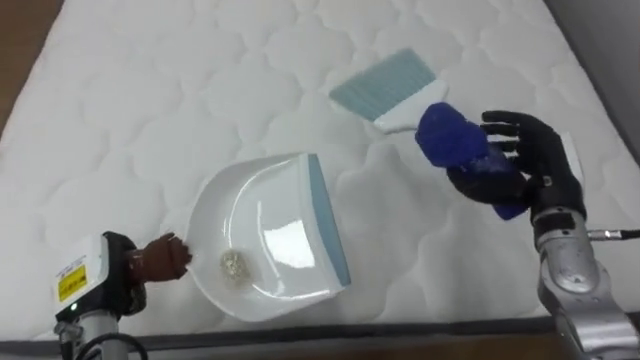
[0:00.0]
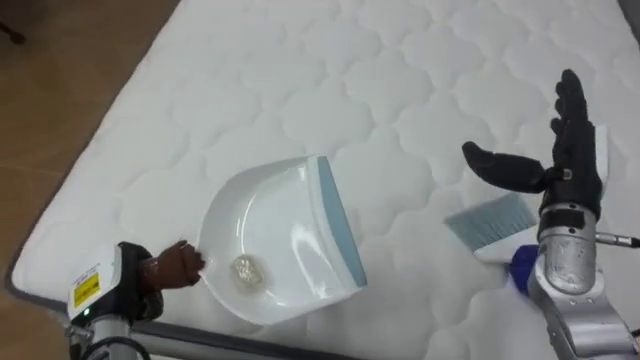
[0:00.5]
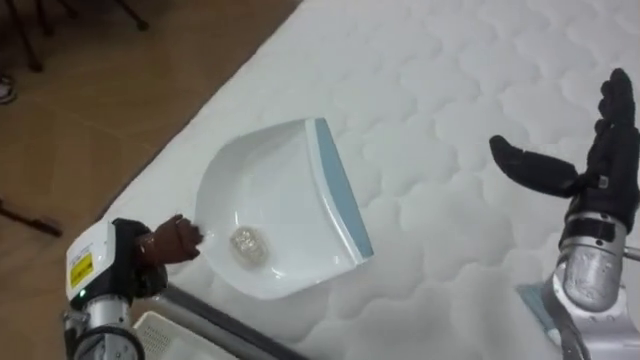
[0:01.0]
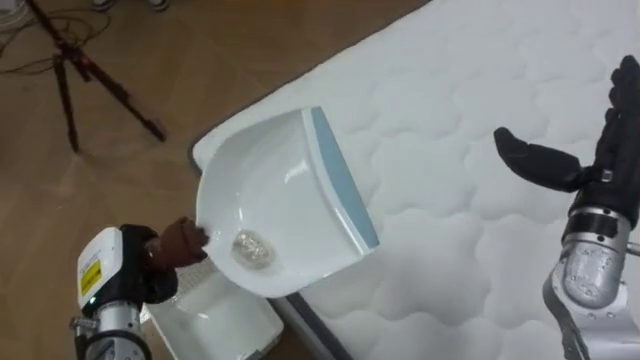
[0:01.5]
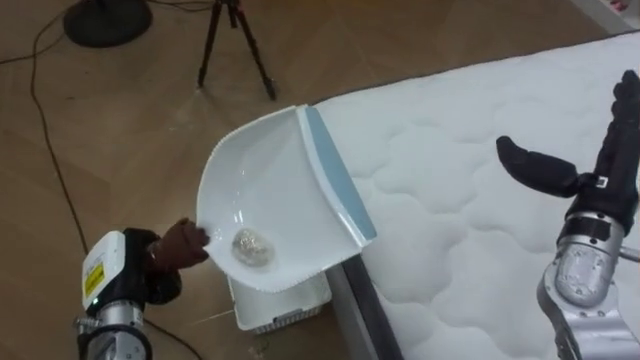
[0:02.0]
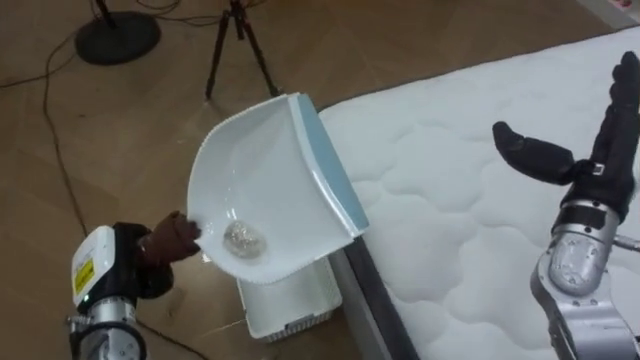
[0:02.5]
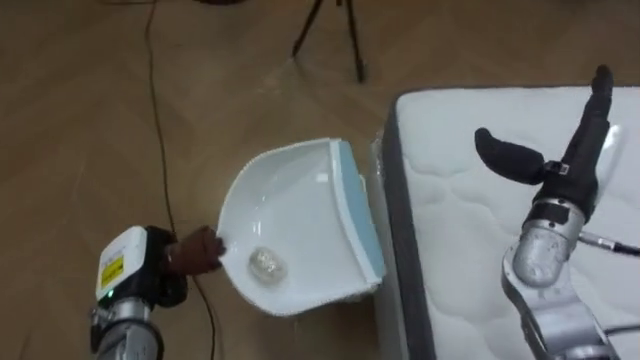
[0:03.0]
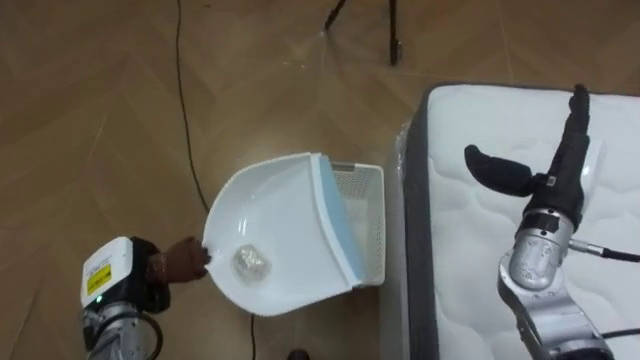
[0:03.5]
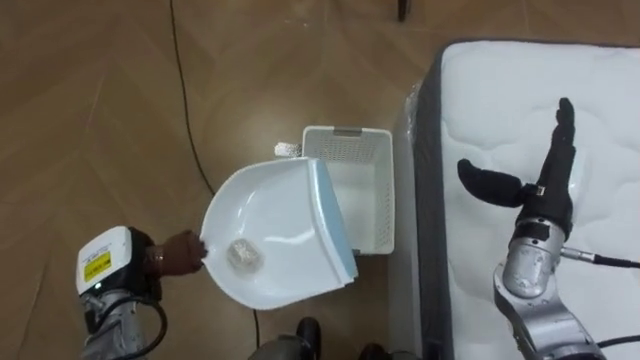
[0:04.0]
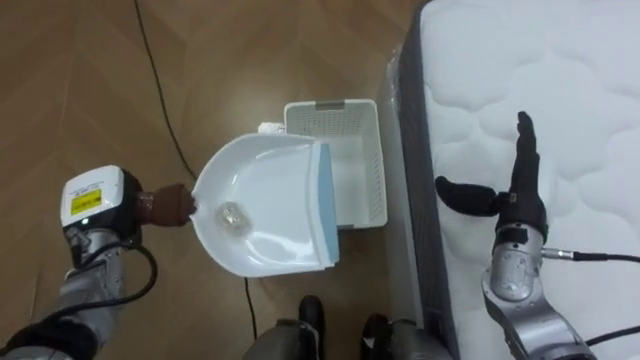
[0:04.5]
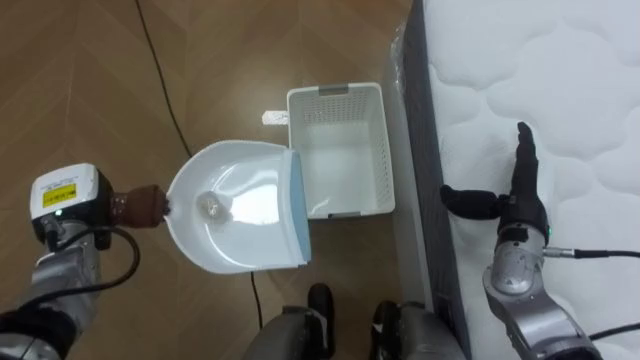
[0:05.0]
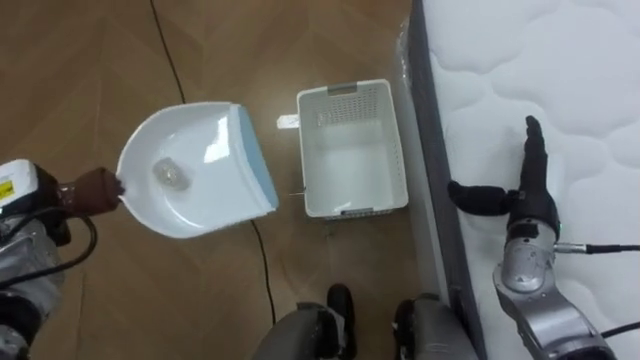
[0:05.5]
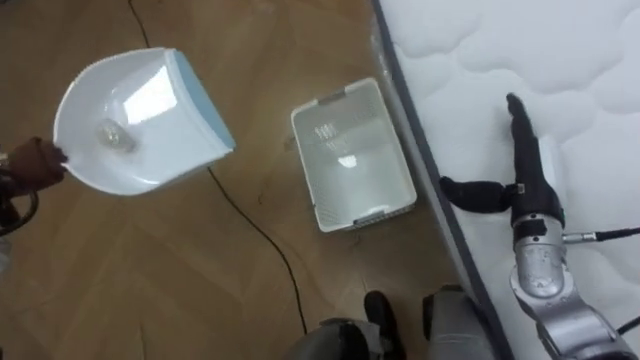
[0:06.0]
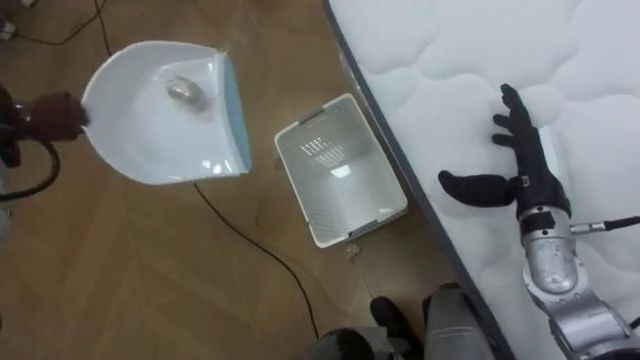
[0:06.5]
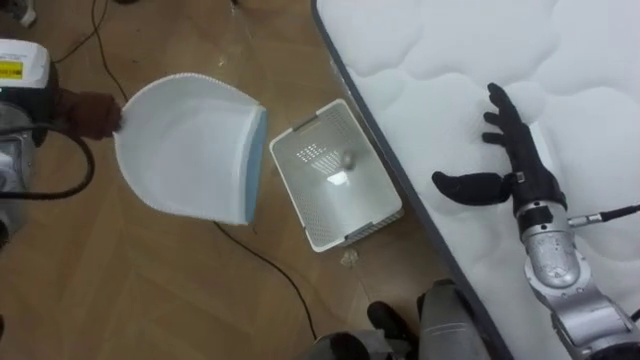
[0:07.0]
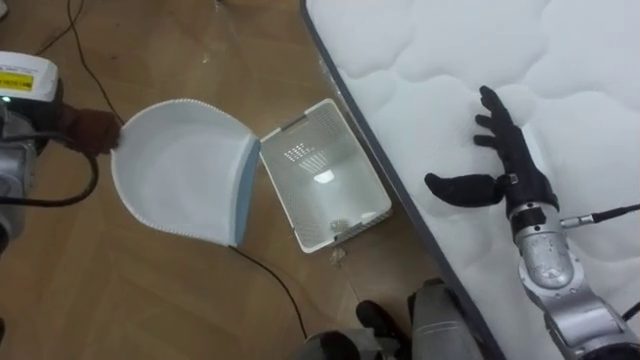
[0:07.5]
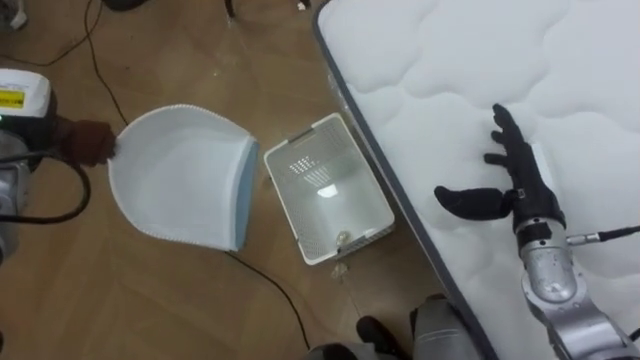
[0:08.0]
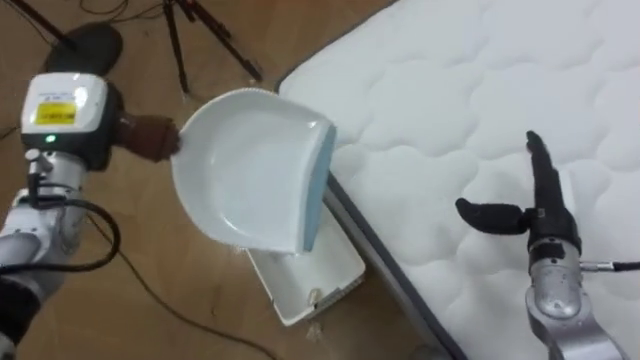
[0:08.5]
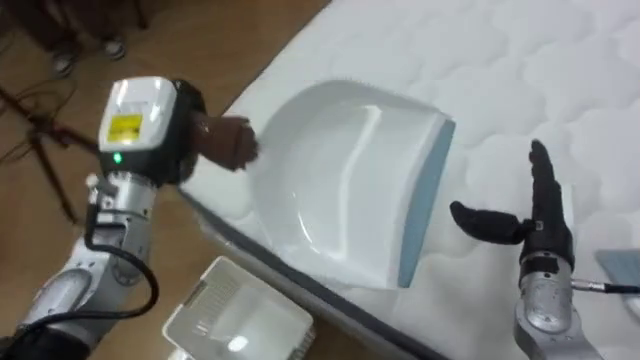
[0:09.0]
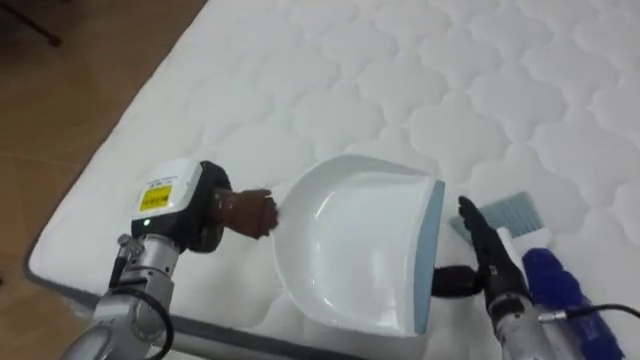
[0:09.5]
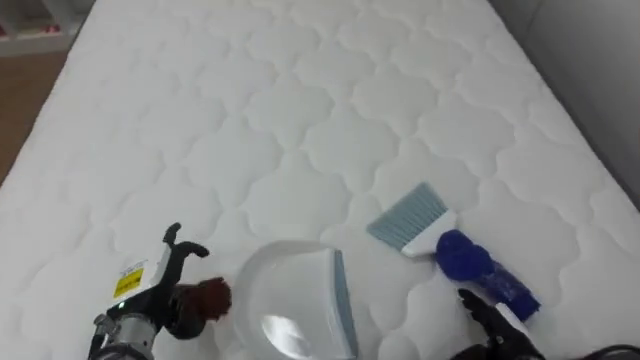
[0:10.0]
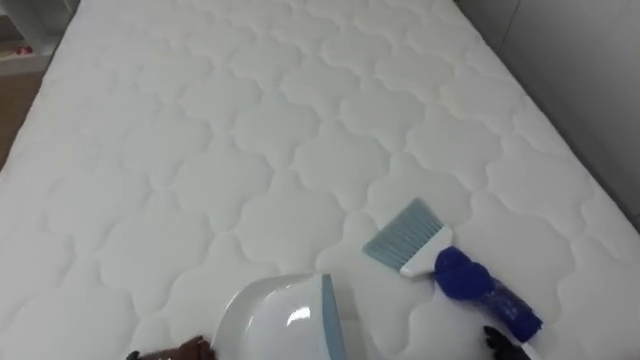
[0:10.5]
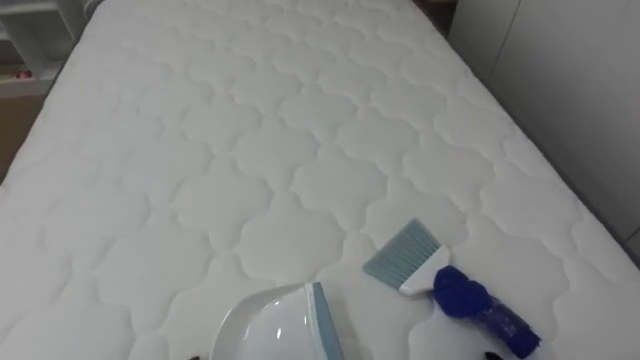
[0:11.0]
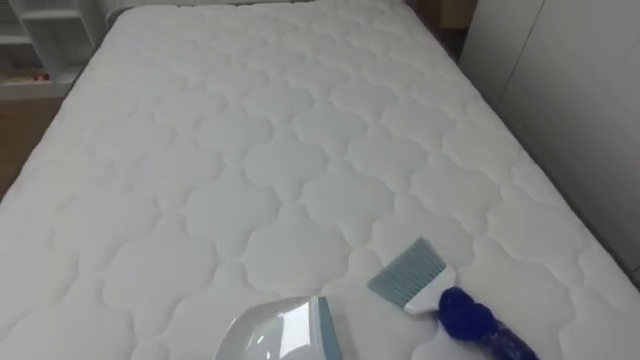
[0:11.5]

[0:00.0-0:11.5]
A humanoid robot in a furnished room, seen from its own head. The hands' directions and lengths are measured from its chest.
Task of the whole recording: Pick up the brush on your right and the dustpan on your left. Use the brush to sweep the crumpled paper on the bed into the dustpan, then turn left and empty it into the basket.
0.0 to 2.0 s: The robot's body swings some 70 degrees to its left. The right hand changes place by roughly 5 cm, and opens.
2.0 to 4.0 s: The robot turns to its left by approximately 25 degrees. The right hand changes place by about 5 cm.
7.5 to 9.5 s: The robot's body swings approximately 70 degrees to its right. The right hand shifts some 10 cm downward and backward; the left hand shifts approximately 20 cm to the right, backward and downward.
9.5 to 11.5 s: The robot rotates approximately 30 degrees to its right.

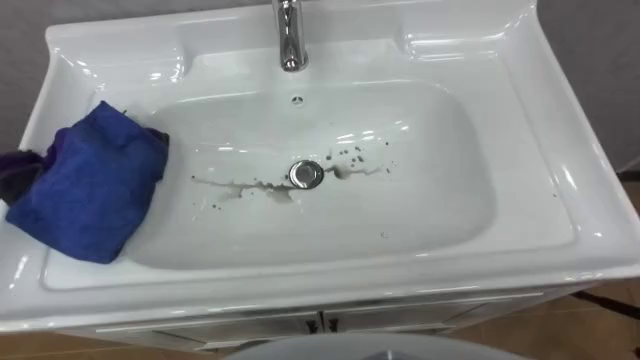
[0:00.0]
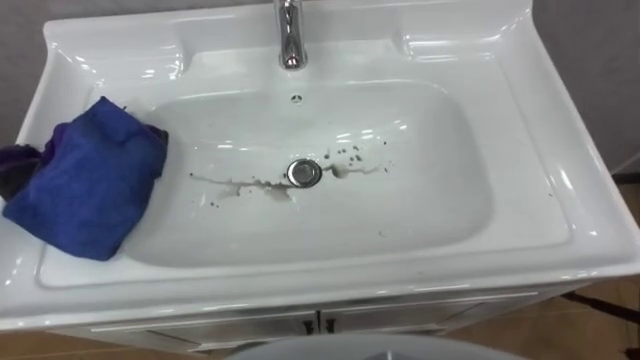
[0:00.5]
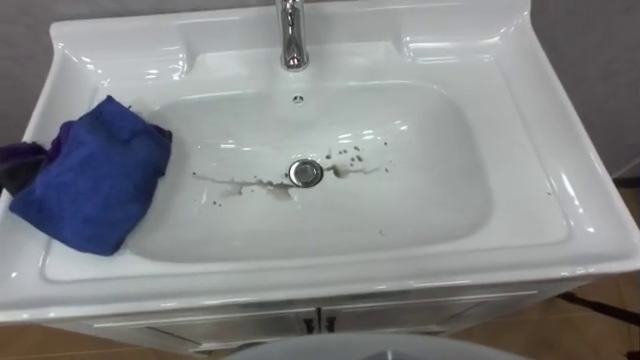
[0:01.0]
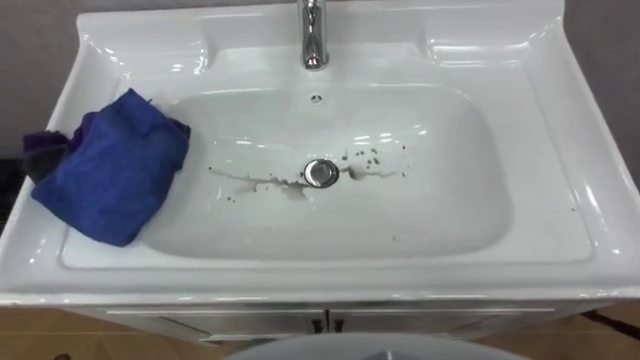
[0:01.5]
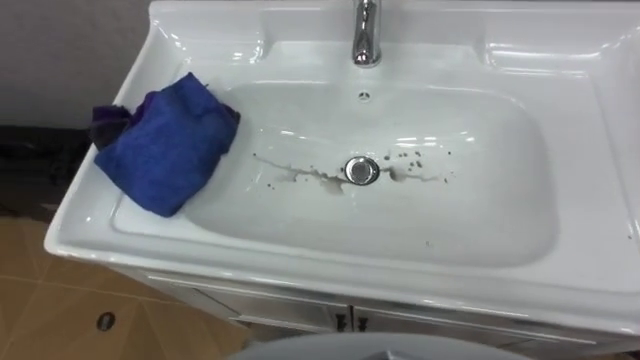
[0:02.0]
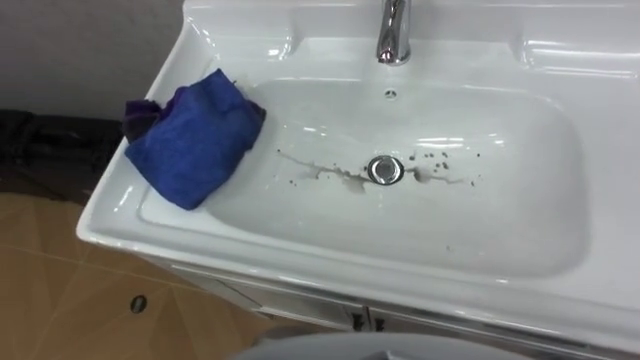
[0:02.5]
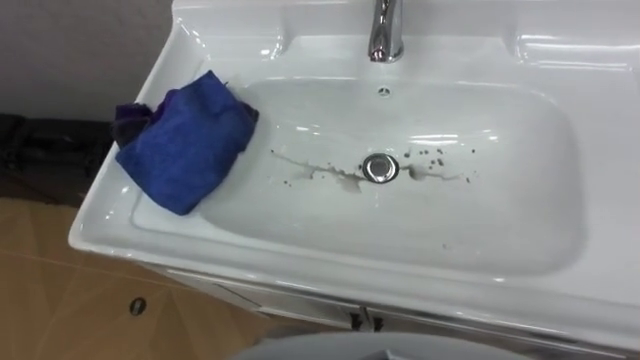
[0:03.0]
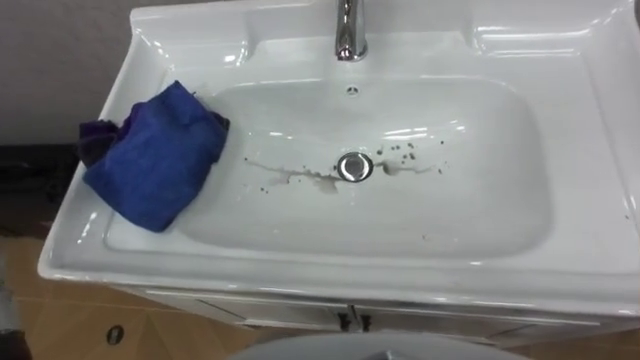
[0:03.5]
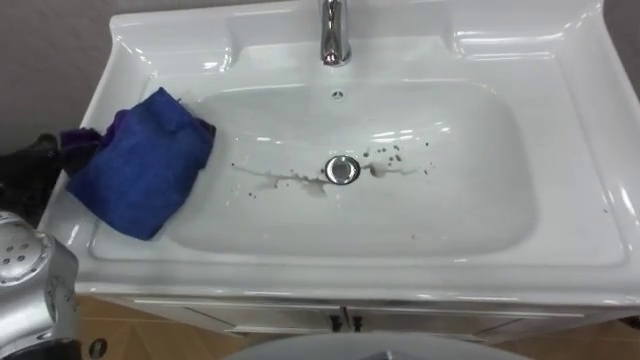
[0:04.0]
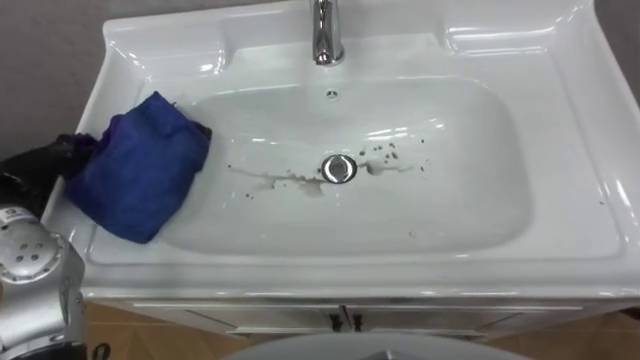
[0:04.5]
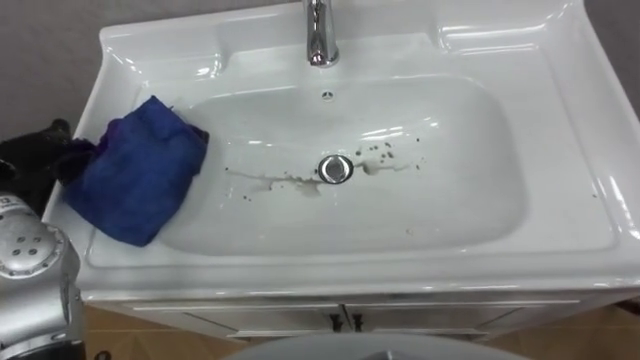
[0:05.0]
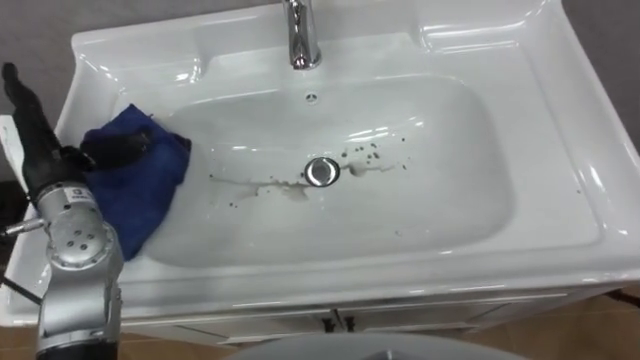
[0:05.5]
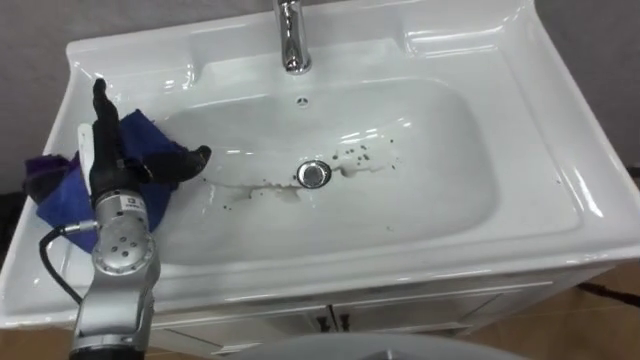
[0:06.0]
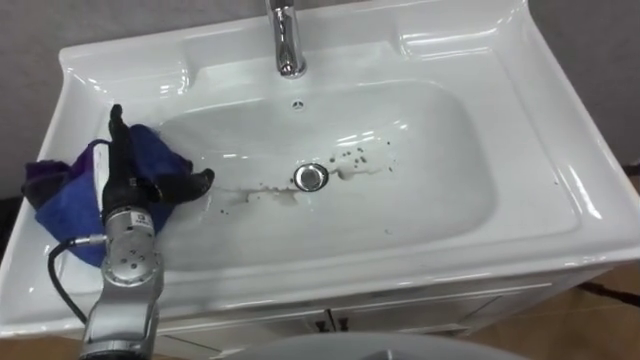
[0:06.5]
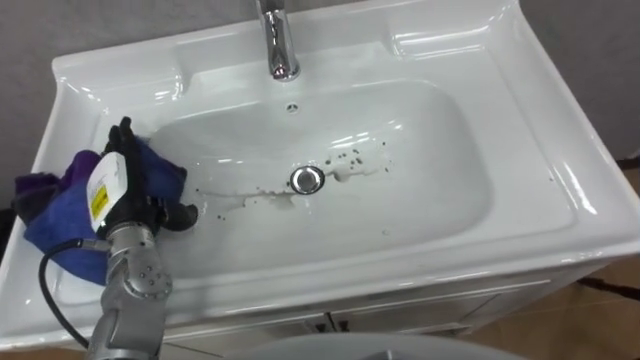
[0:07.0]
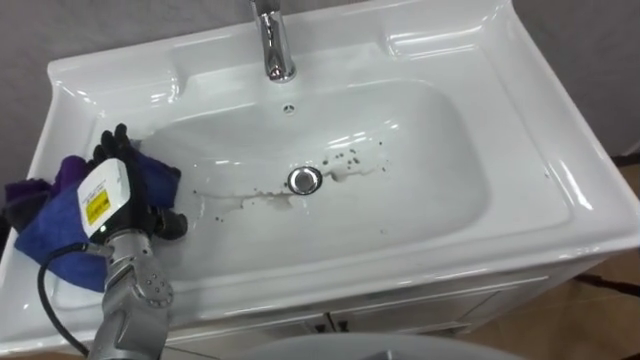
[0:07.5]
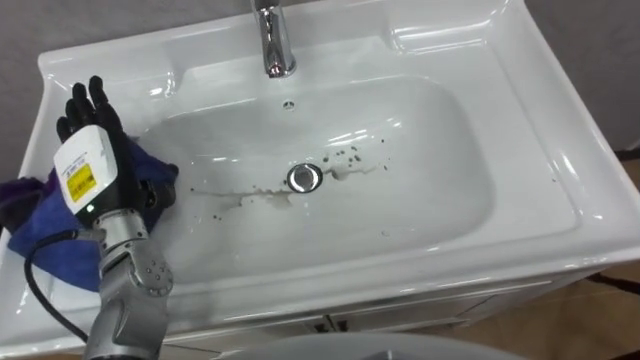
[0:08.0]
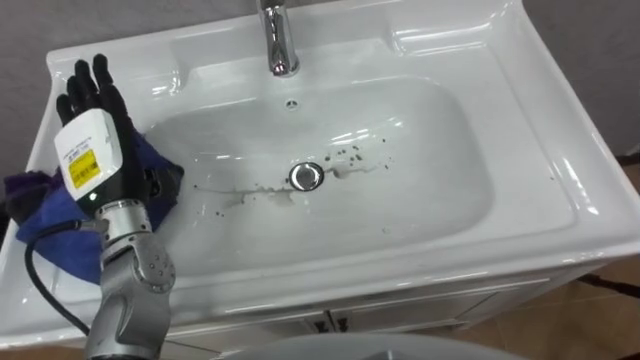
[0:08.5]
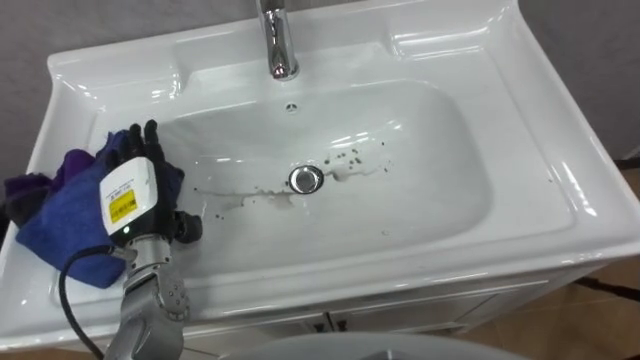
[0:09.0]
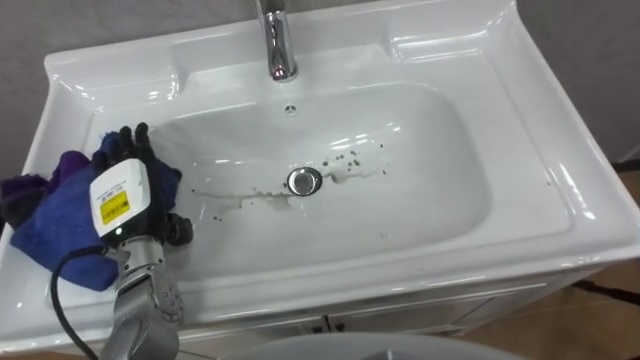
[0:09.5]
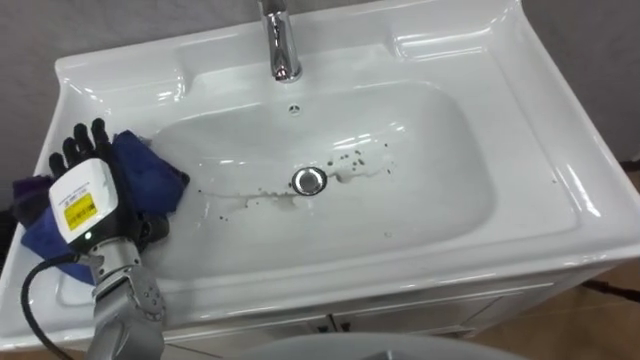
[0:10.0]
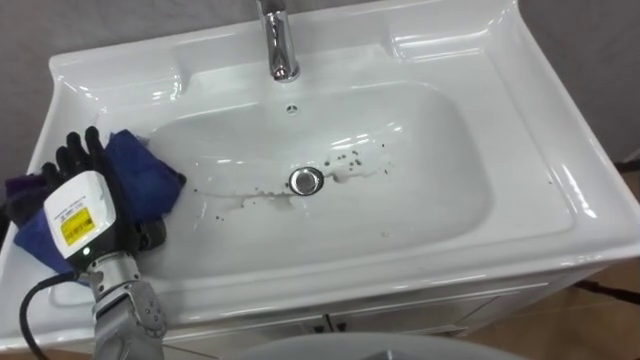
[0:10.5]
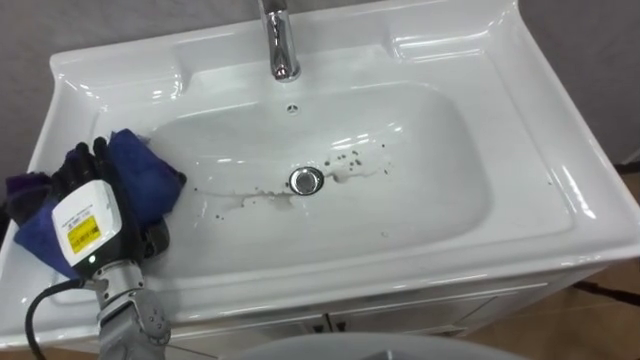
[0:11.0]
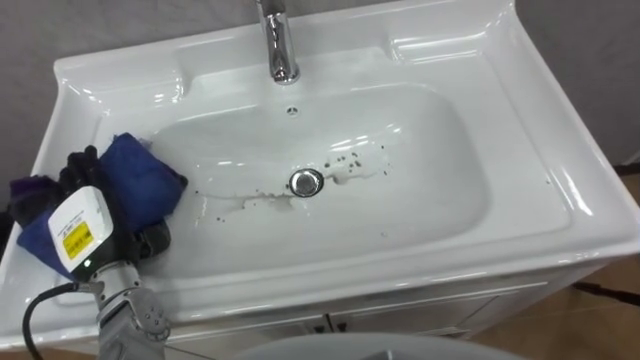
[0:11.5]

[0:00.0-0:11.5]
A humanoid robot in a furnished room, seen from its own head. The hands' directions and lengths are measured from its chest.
Task of the whole recording: Use the cloth on the right to wipe away the black stain in the sink.
6.0 to 7.5 s: The left hand travels downward by approximately 5 cm.
9.5 to 11.5 s: The left hand moves about 5 cm.
